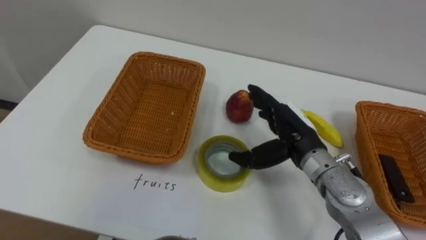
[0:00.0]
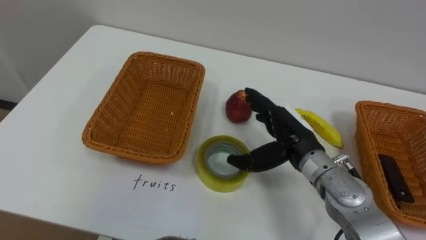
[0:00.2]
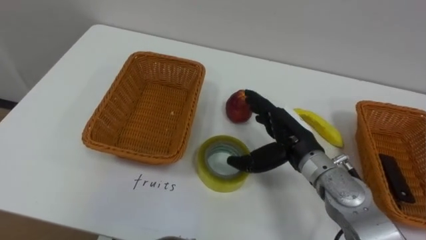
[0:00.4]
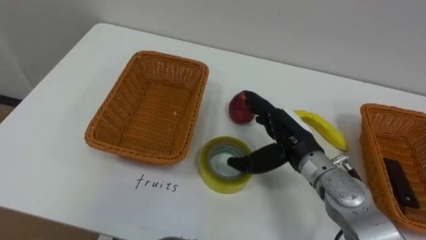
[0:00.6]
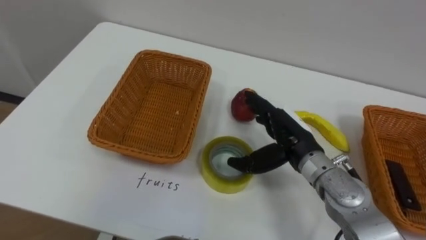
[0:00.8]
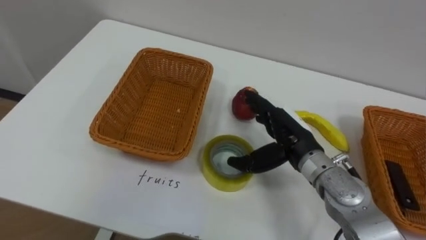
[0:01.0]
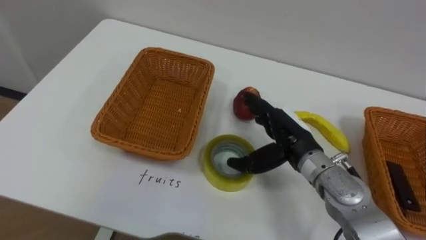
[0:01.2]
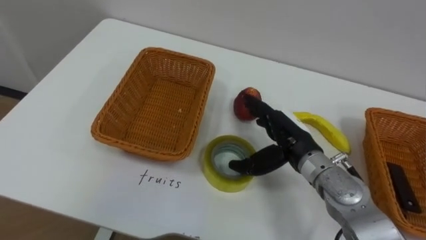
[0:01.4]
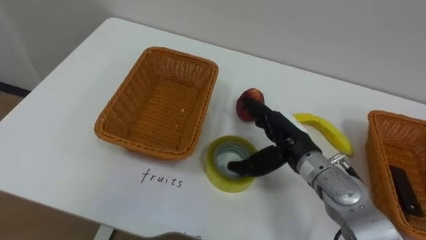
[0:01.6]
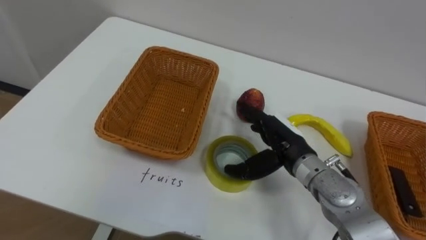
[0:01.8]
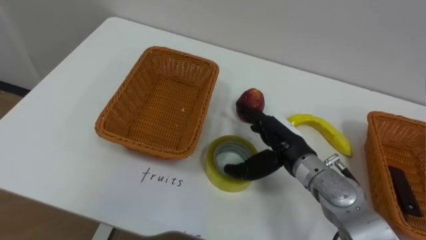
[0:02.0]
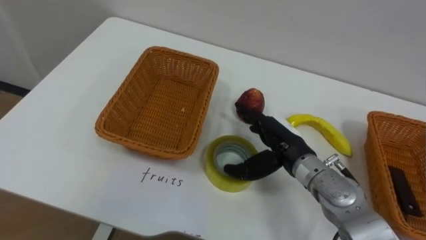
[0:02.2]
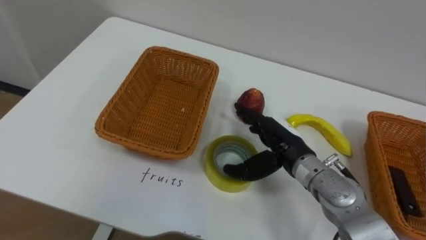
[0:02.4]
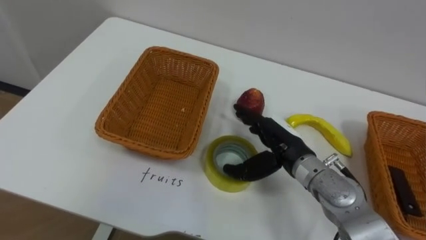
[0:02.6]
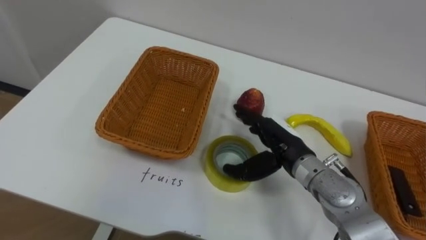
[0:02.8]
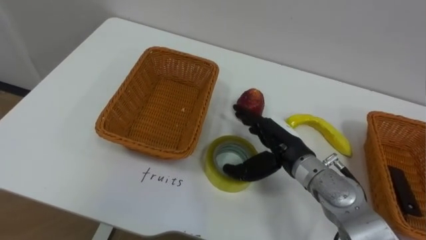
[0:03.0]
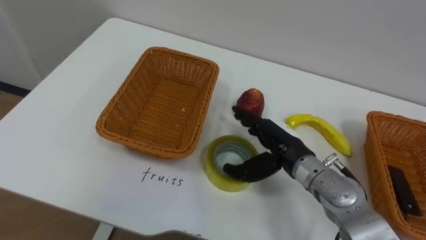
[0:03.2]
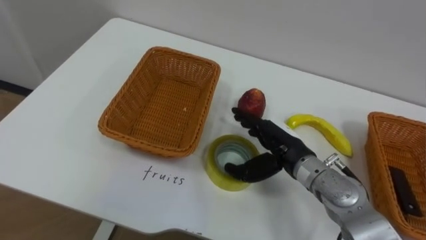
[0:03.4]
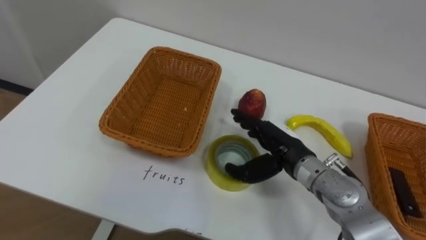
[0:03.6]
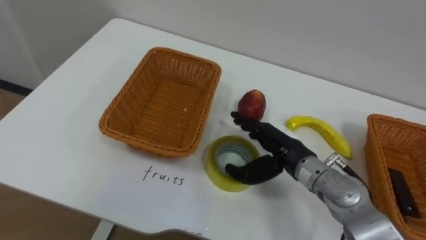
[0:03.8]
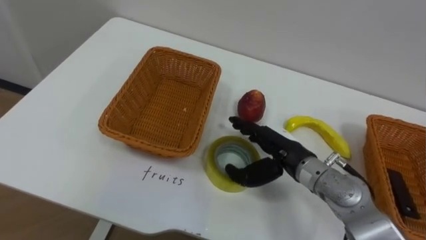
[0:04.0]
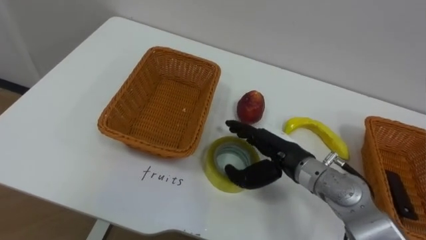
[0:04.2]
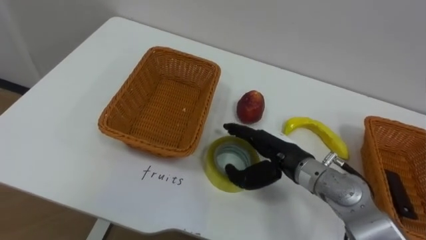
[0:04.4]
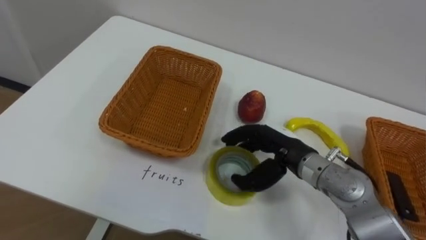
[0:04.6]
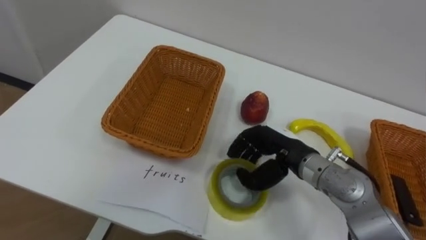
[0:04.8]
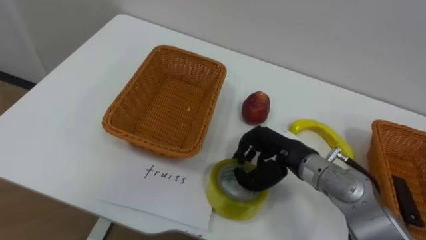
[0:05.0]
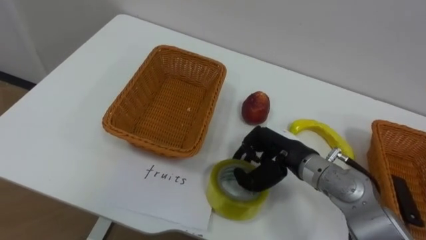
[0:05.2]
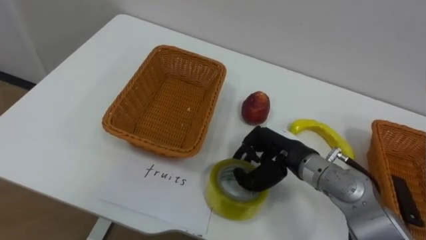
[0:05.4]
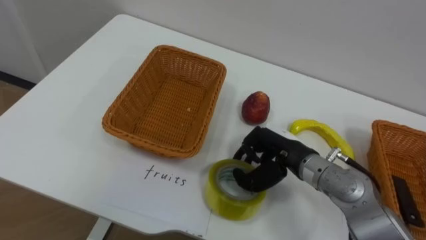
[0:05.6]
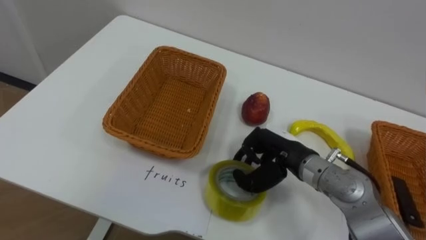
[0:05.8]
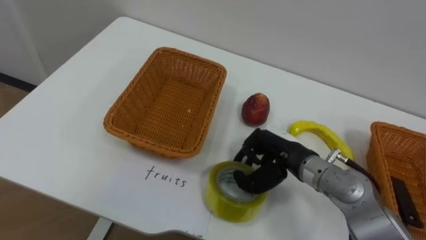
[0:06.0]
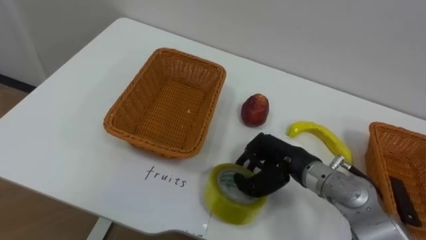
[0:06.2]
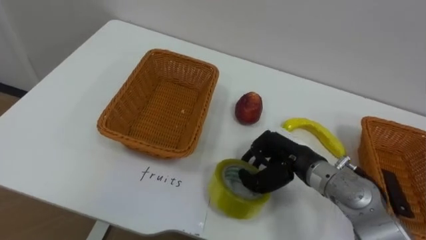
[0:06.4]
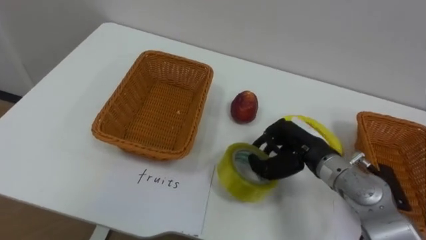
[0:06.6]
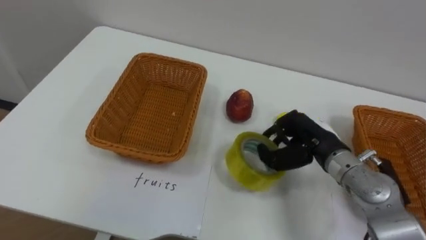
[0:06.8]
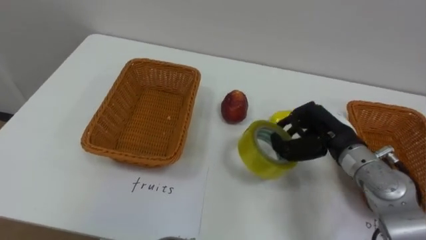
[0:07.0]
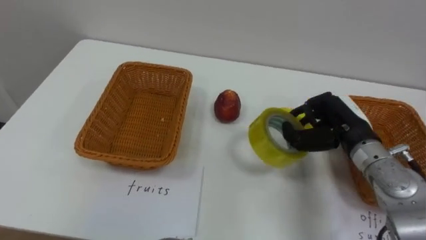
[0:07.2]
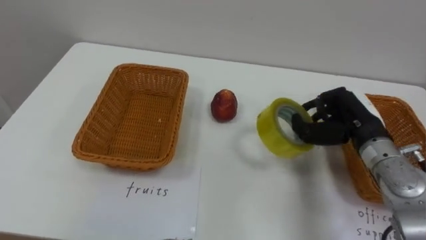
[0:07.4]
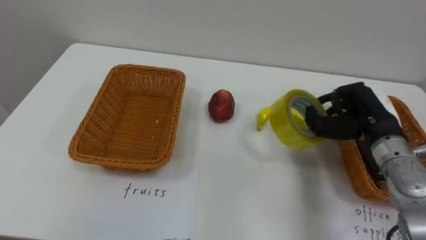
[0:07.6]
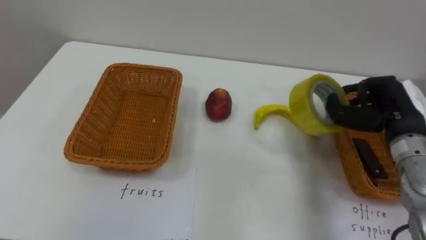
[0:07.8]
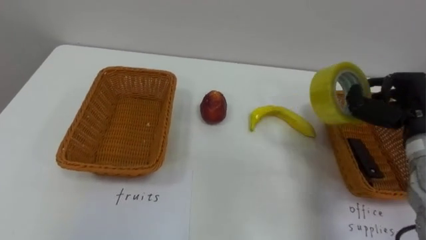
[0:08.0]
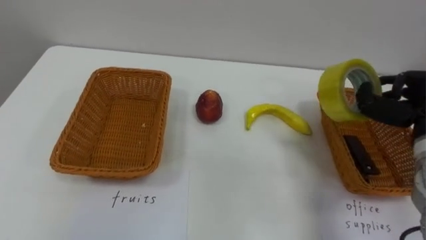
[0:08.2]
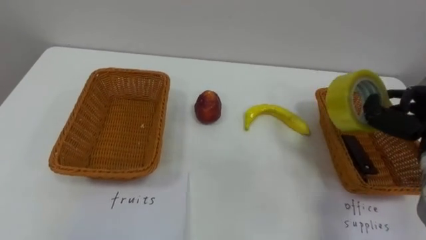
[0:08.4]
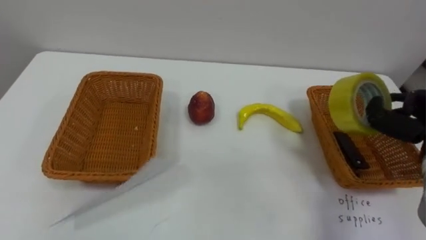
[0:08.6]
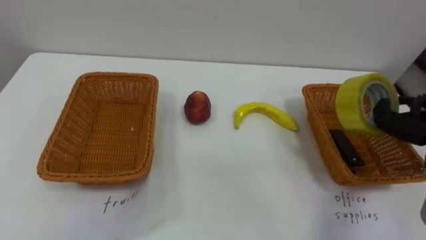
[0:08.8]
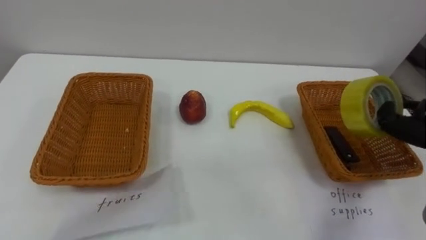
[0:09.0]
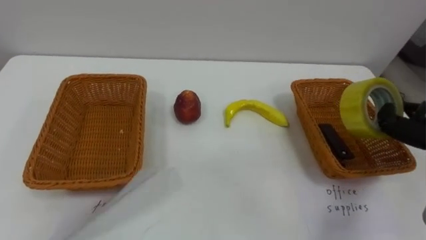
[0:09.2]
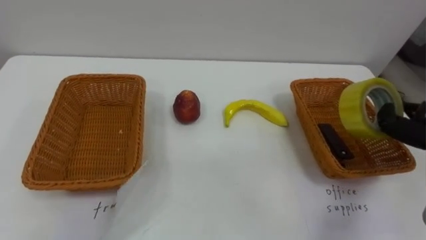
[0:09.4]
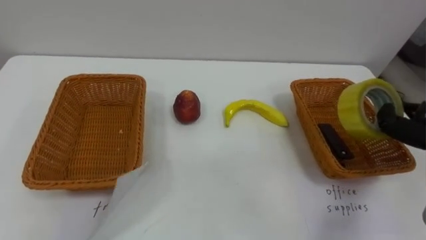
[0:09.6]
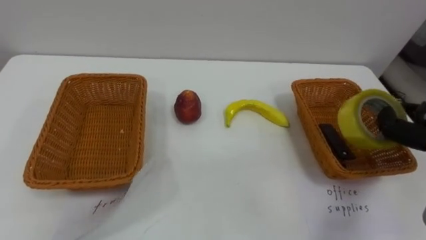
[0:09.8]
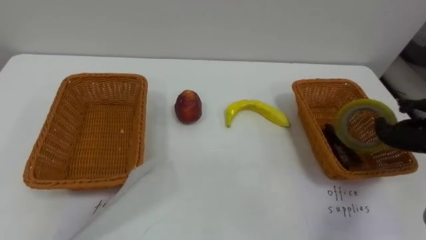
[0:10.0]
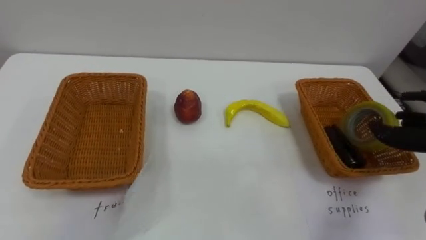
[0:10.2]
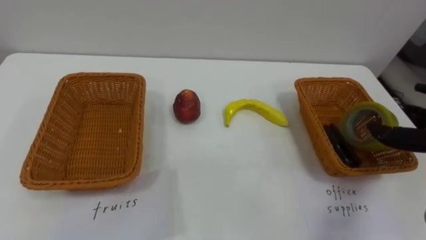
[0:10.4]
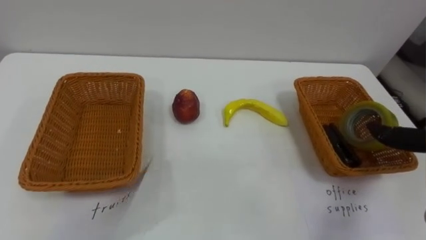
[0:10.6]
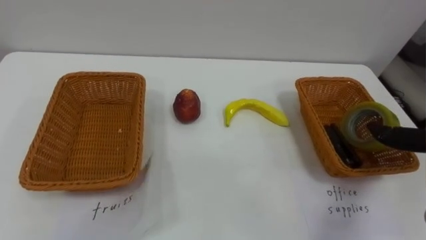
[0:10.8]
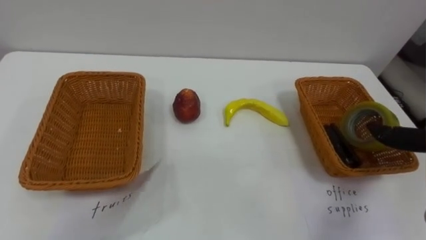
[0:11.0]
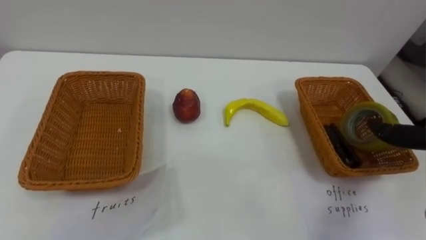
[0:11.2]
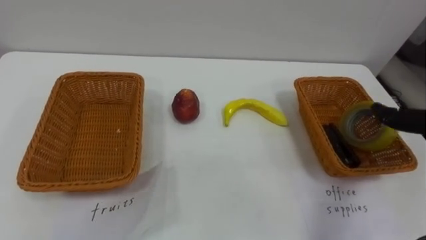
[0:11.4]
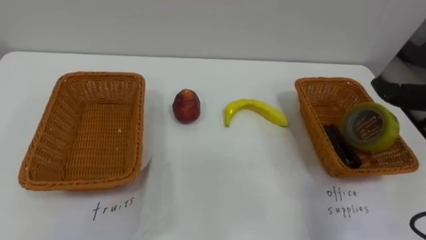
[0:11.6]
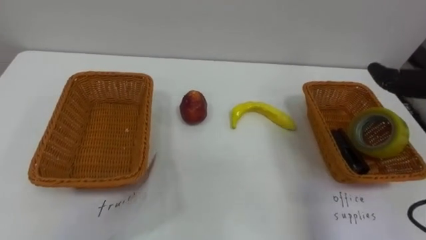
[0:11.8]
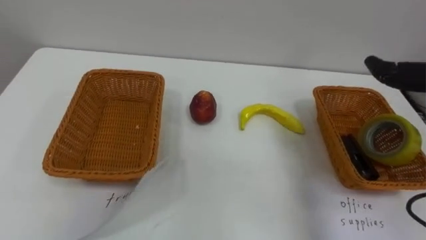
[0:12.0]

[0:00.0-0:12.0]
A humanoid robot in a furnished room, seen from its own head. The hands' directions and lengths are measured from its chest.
Task of the whole recording: Separate the items on the table and place them into the two baskets.
0:04.4 to 0:06.0: The right hand closes its fingers.
0:06.0 to 0:07.6: The right hand moves to the right, some 15 cm.

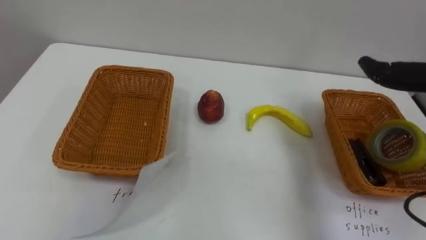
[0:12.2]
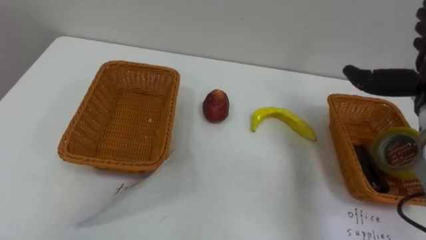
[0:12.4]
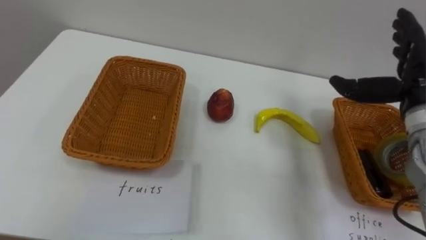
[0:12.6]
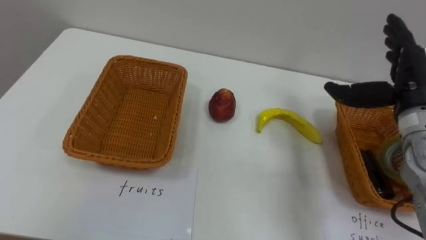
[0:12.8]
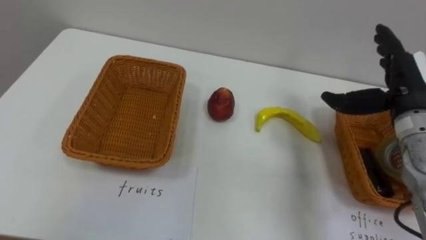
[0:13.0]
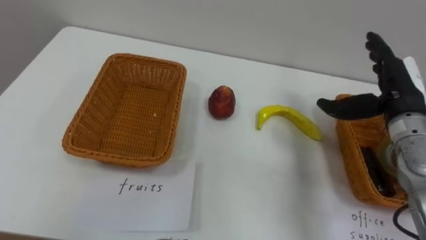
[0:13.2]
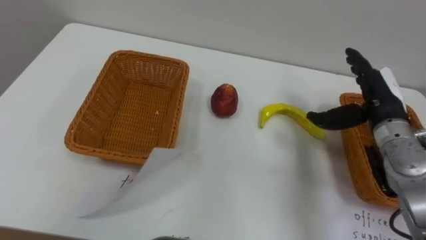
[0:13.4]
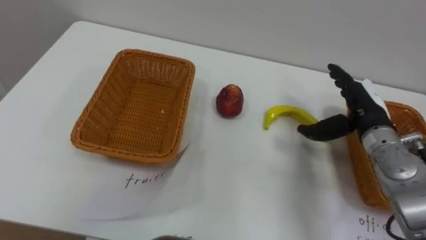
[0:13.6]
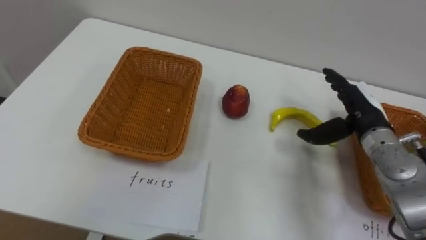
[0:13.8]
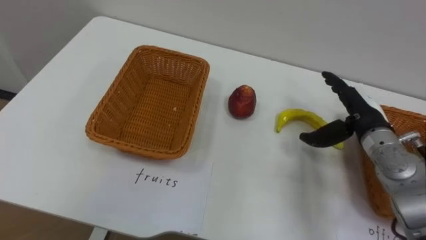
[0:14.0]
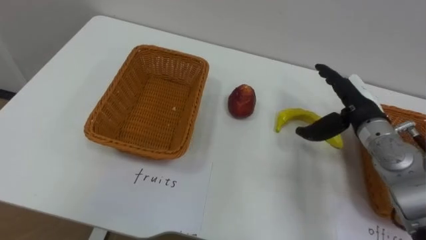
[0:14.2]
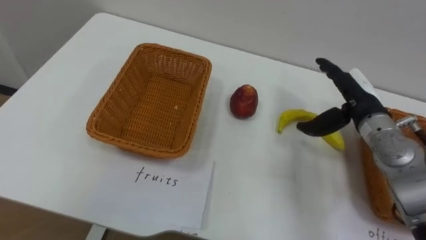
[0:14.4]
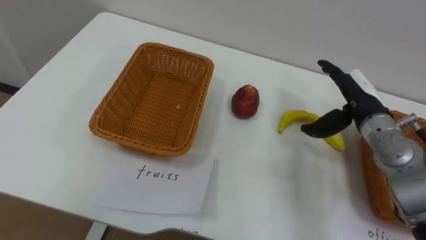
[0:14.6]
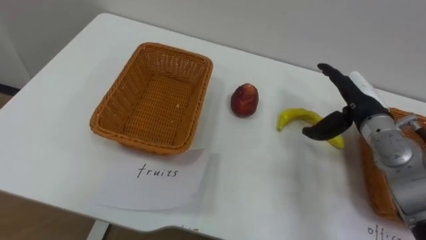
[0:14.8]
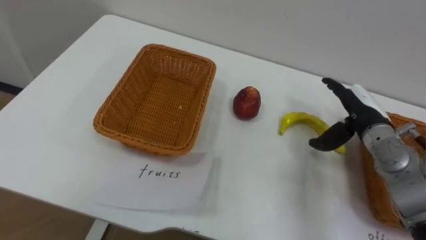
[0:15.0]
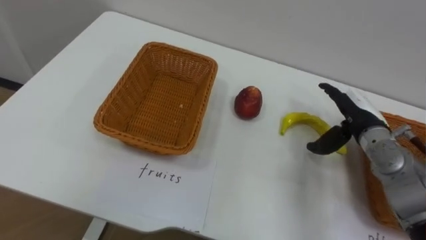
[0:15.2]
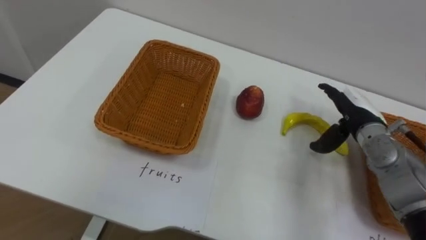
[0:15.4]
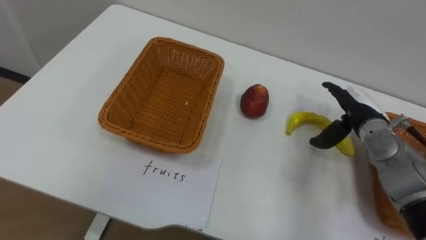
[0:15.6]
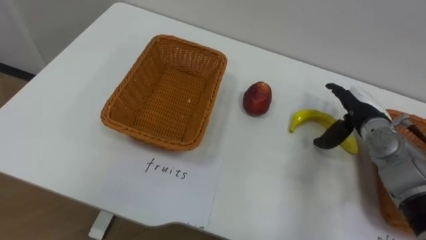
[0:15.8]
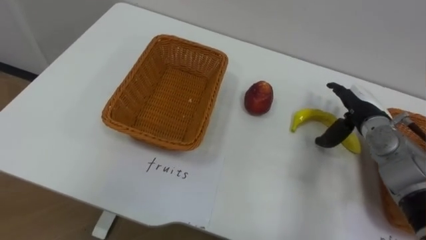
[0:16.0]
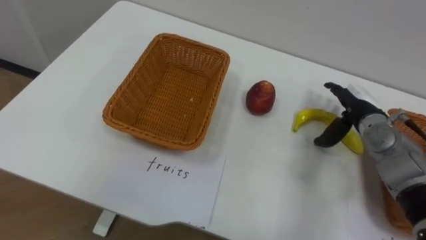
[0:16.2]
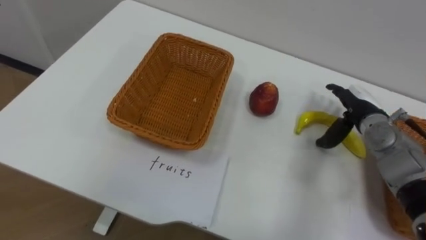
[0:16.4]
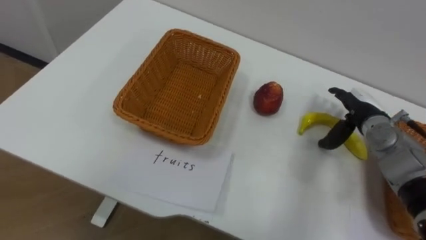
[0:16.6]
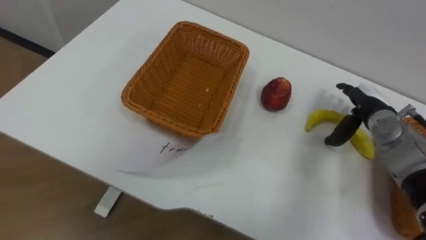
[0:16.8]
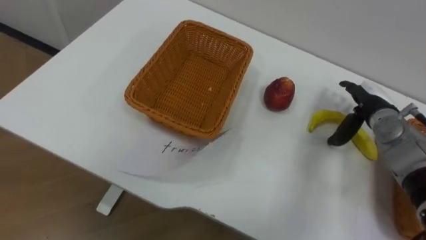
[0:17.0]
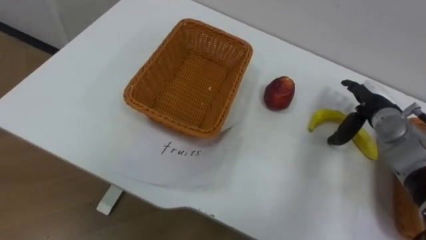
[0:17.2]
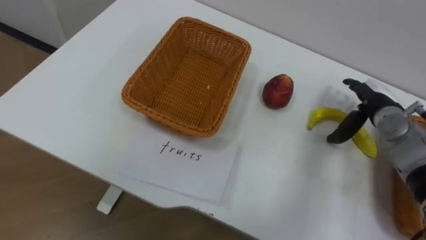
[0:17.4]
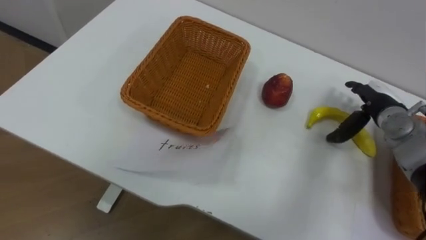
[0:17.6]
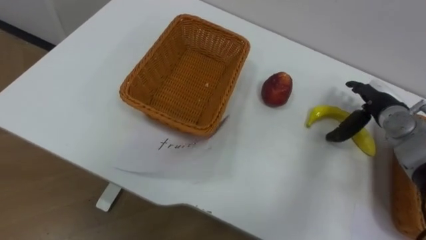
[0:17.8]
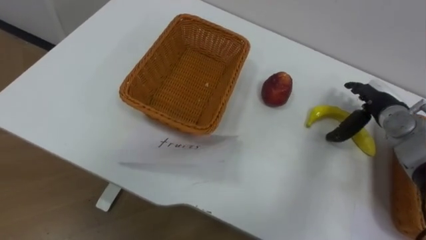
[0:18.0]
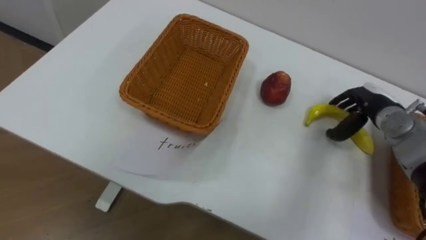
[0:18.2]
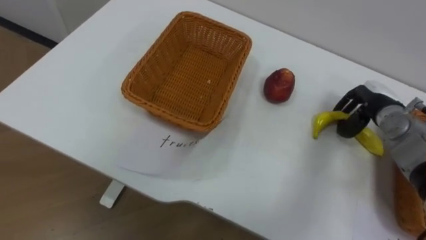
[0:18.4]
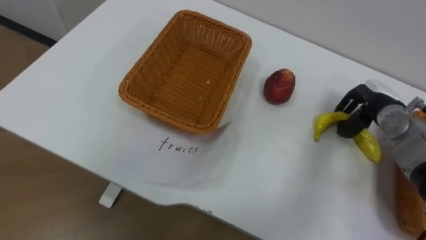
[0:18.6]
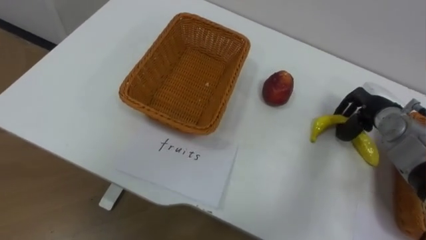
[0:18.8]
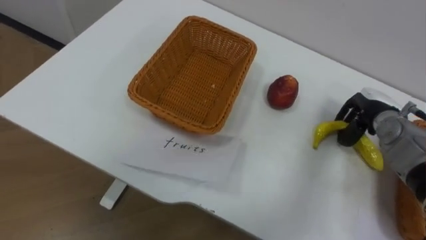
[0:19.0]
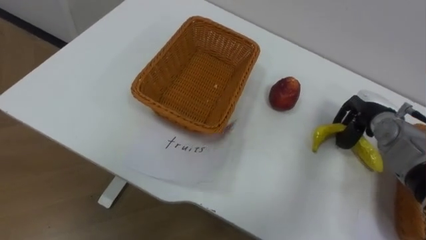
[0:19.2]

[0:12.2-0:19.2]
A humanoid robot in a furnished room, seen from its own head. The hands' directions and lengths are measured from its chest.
Task of the whole recording: Separate the items on the table and place them into the two baskets.
0:17.8 to 0:19.2: The right hand closes up.
